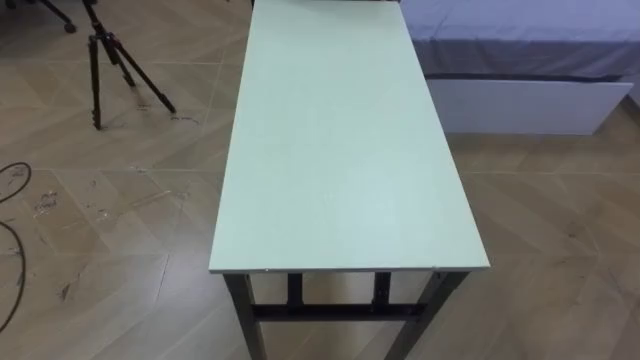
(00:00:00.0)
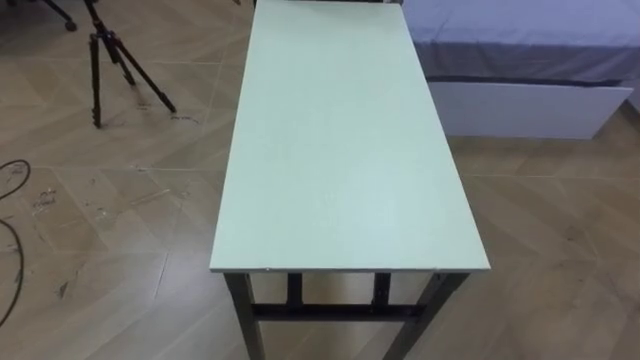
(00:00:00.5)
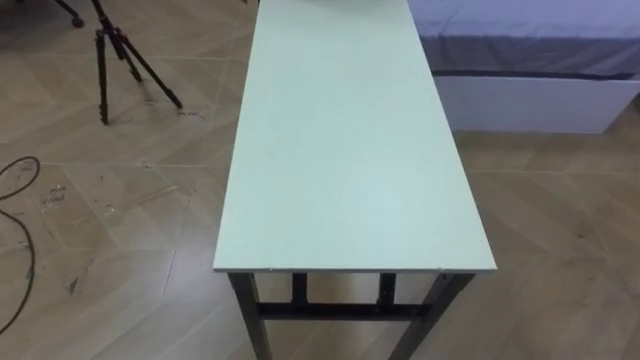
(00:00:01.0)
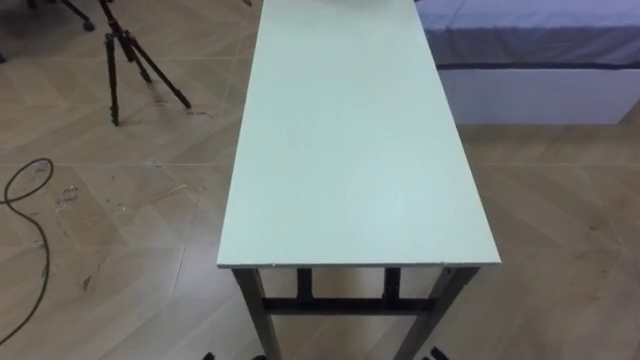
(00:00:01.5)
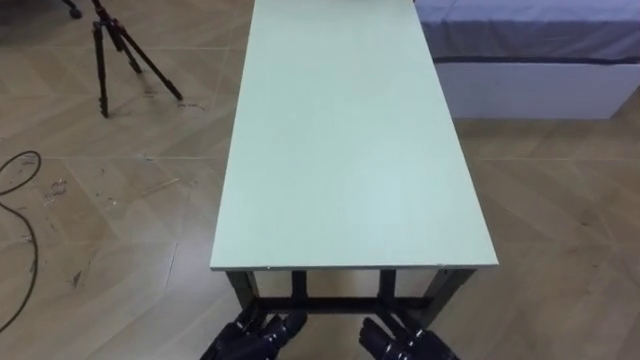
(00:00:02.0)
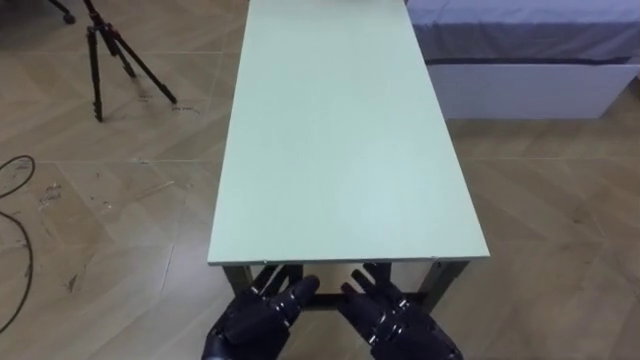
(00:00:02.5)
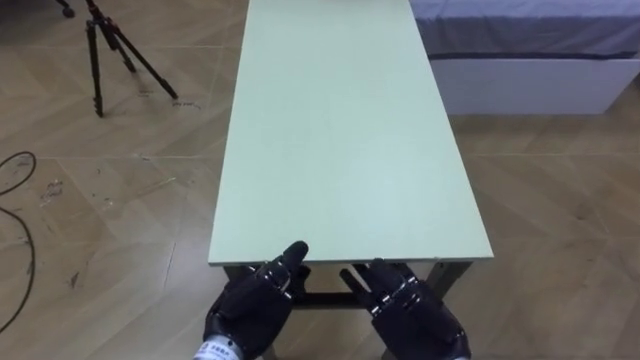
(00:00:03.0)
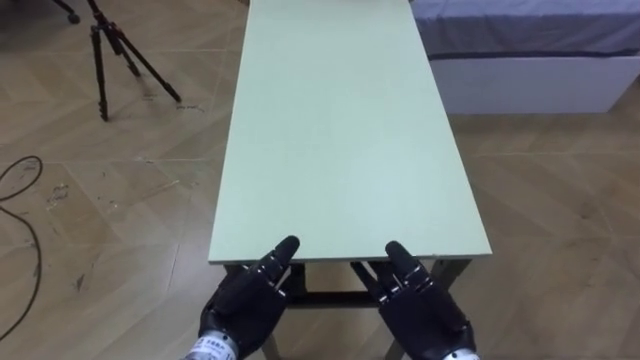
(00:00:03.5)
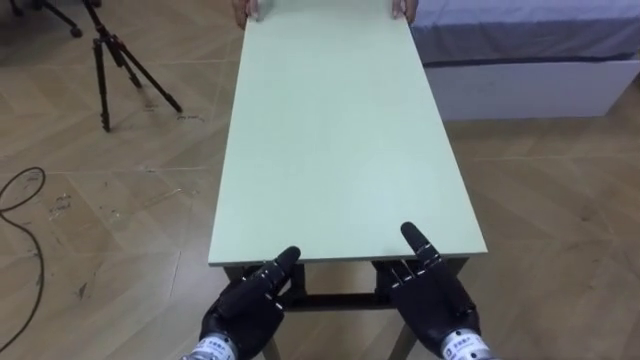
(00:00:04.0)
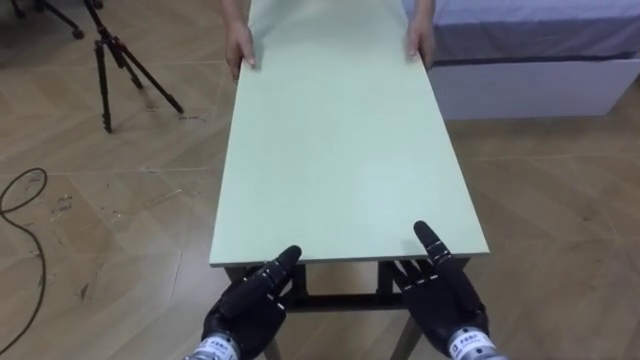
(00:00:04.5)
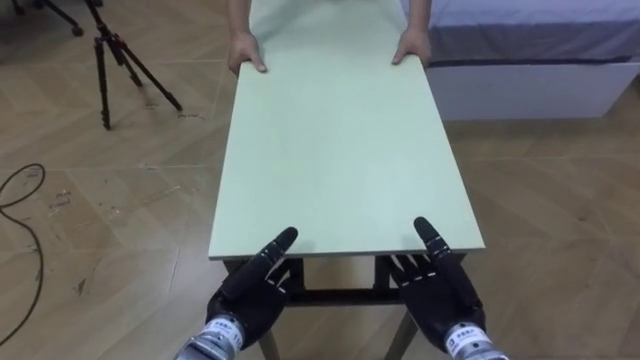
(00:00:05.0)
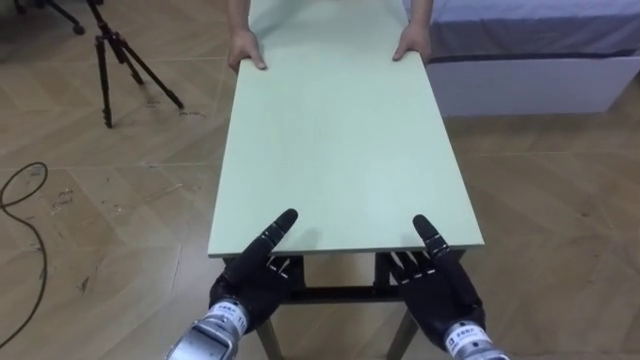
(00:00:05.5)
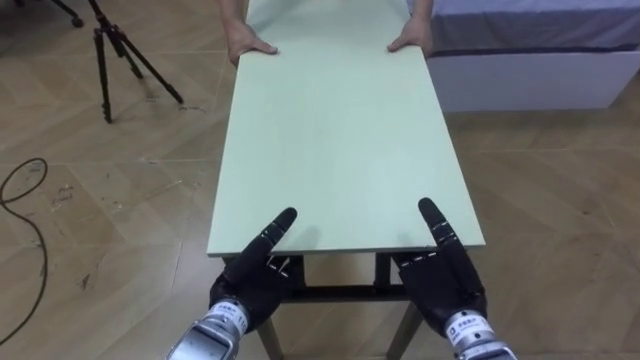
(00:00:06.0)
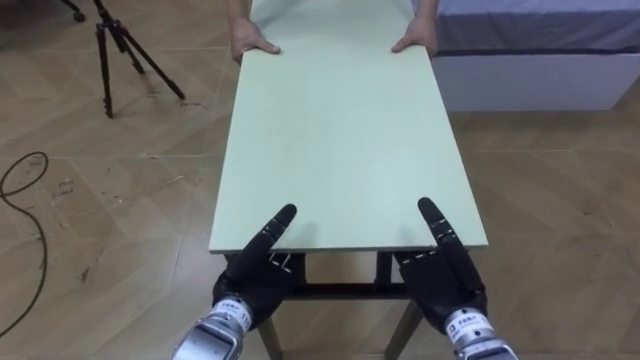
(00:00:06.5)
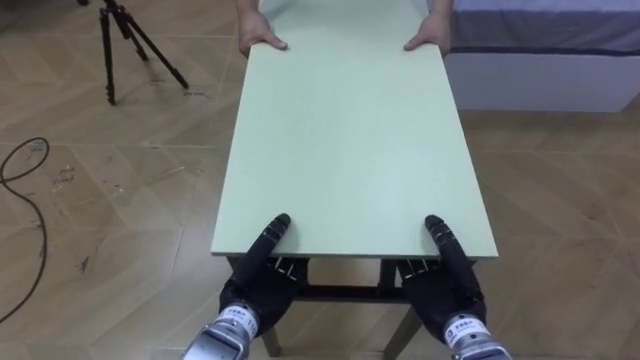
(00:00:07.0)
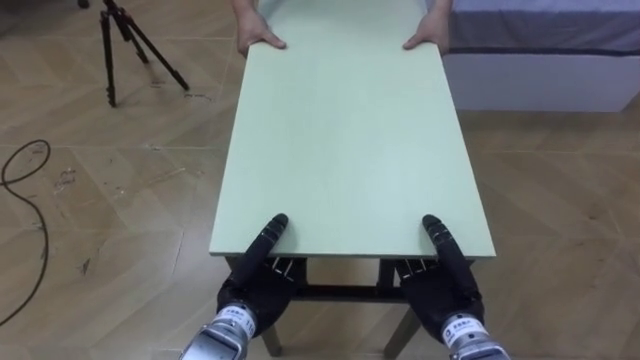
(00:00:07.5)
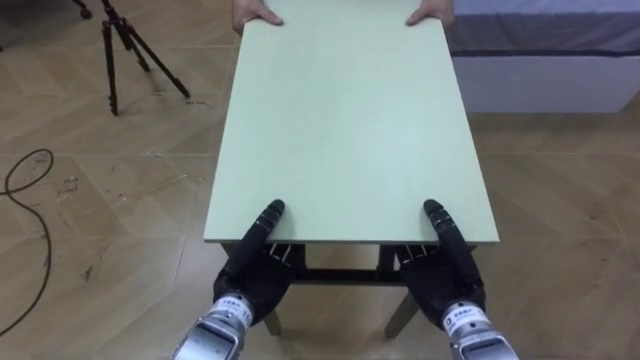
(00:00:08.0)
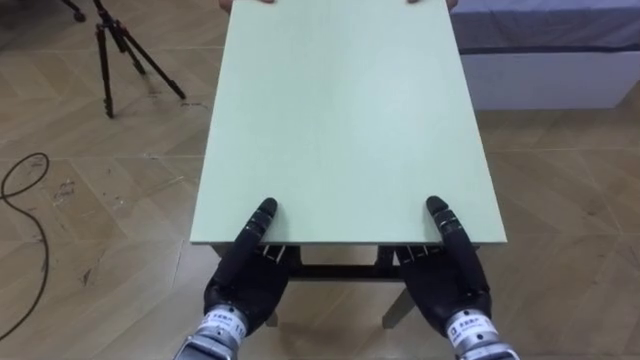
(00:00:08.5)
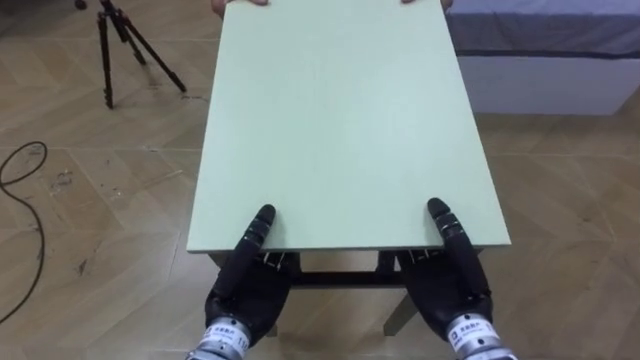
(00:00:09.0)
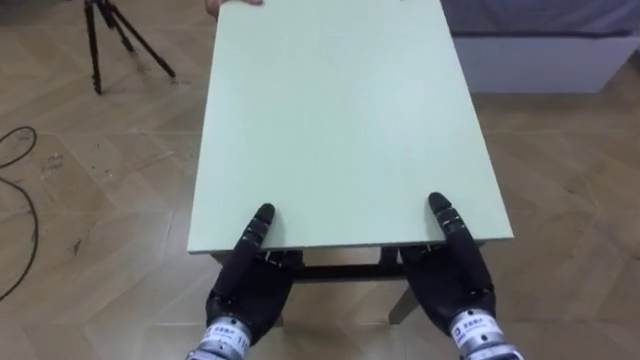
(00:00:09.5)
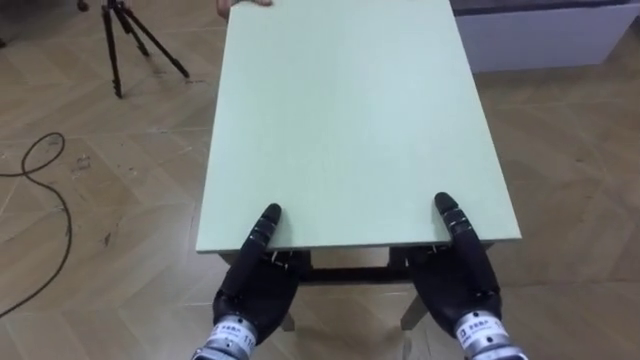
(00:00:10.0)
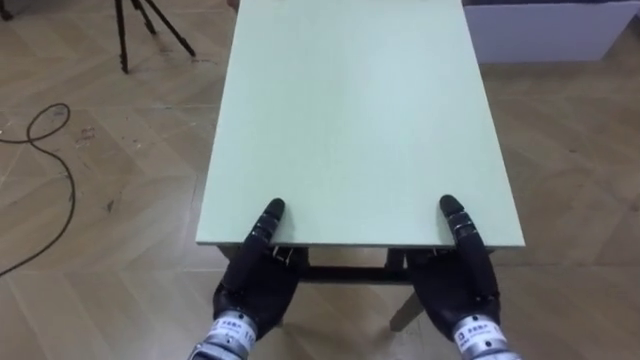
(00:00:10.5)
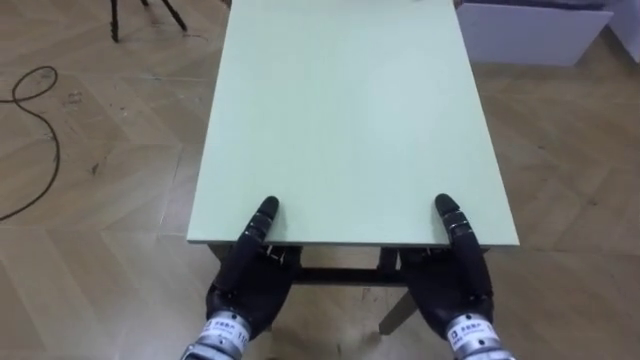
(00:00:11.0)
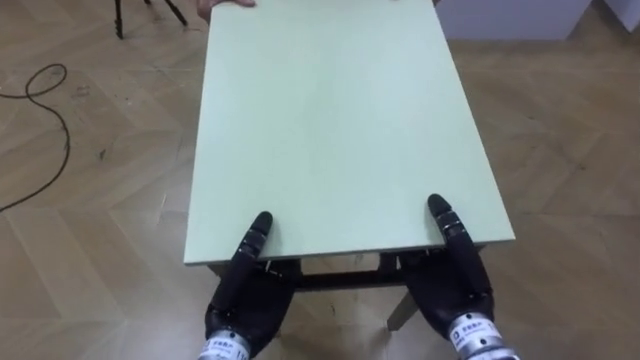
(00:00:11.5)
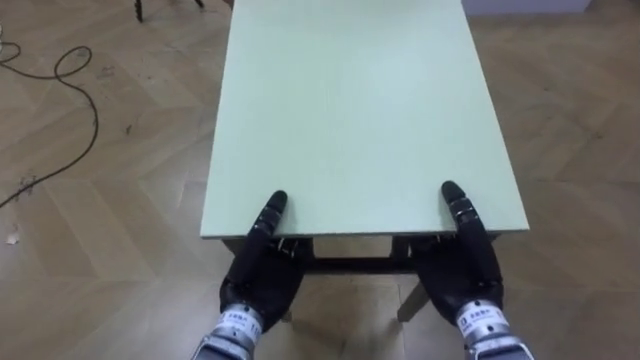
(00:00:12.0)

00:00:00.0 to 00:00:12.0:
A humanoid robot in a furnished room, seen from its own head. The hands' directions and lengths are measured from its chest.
Task of the whole recording: Move the table to the back left with someone.
00:00:02.0 to 00:00:04.0: The left hand moves forward, some 5 cm.
00:00:06.0 to 00:00:08.0: The left hand closes up. The right hand closes its fingers.

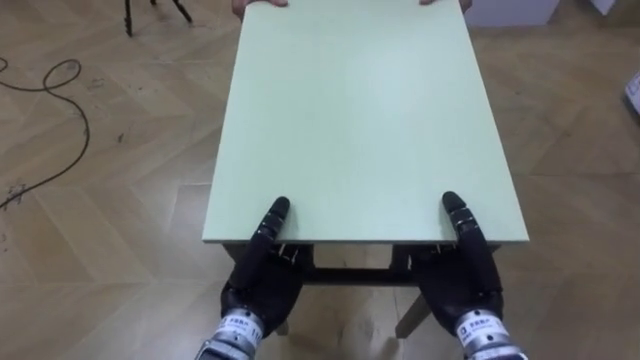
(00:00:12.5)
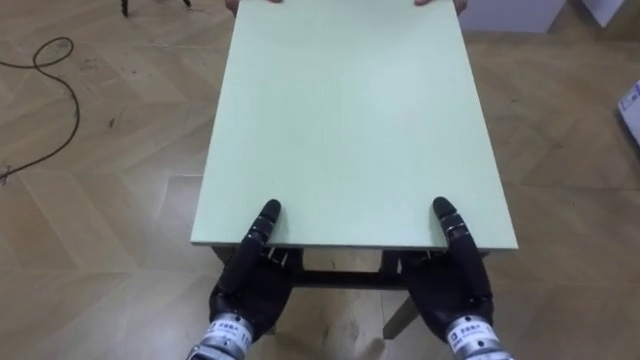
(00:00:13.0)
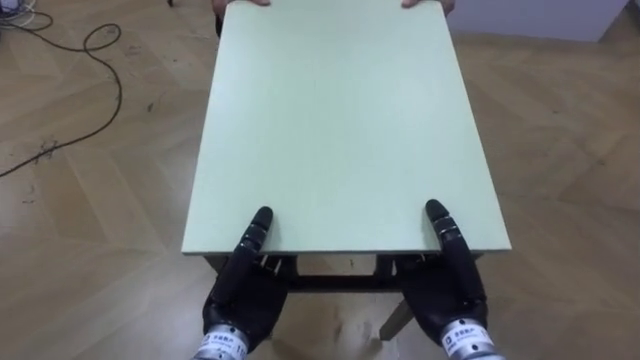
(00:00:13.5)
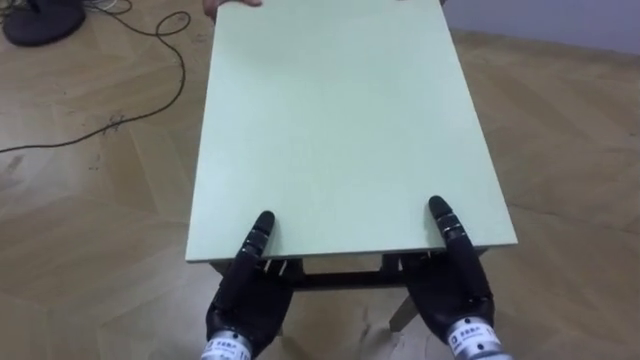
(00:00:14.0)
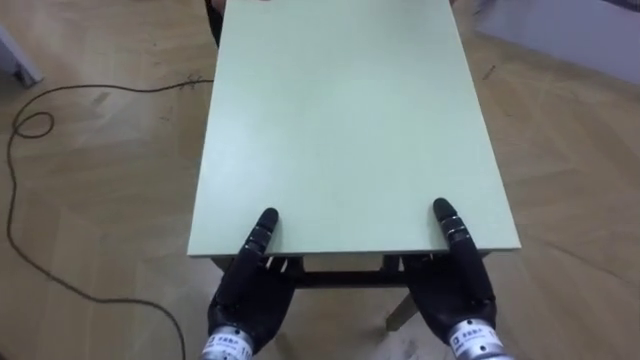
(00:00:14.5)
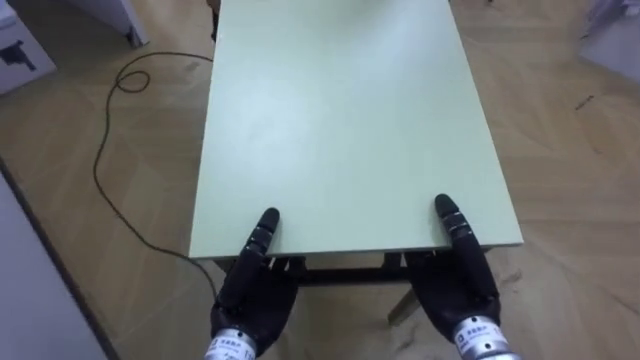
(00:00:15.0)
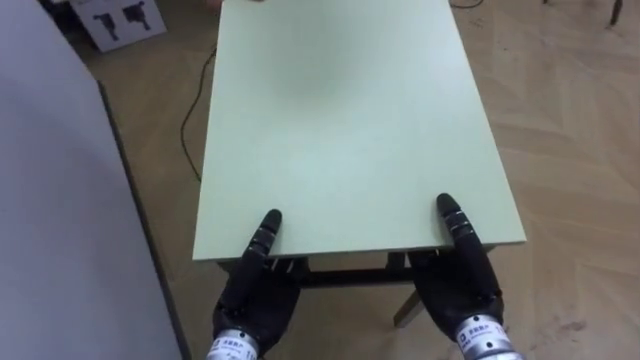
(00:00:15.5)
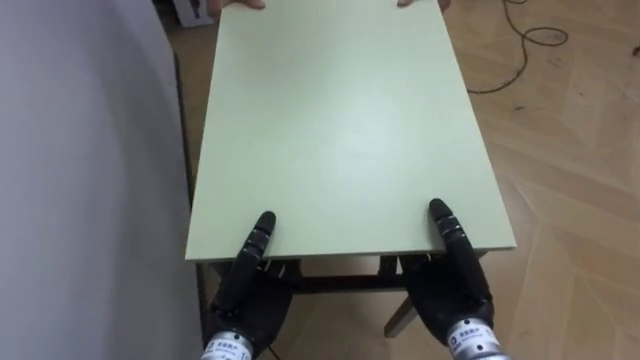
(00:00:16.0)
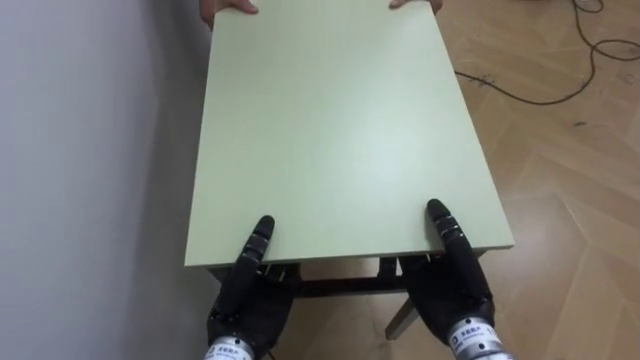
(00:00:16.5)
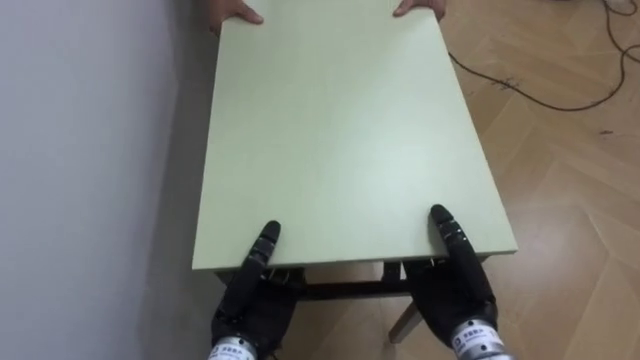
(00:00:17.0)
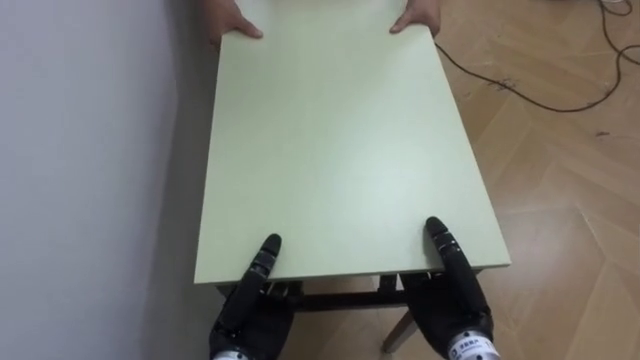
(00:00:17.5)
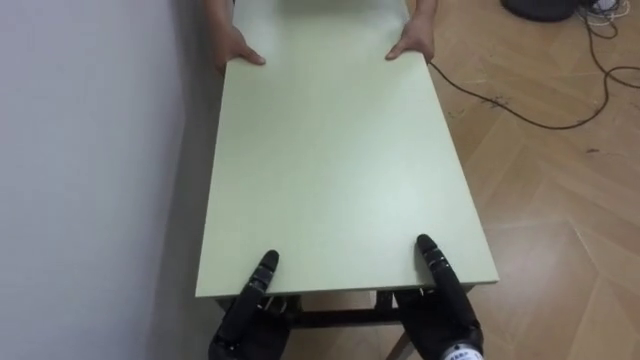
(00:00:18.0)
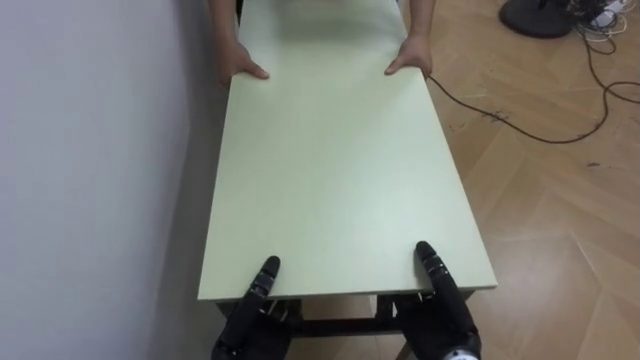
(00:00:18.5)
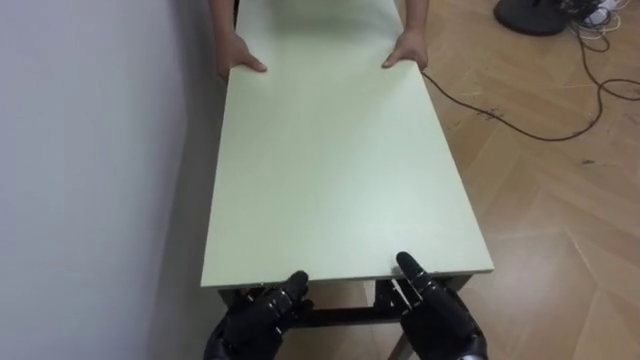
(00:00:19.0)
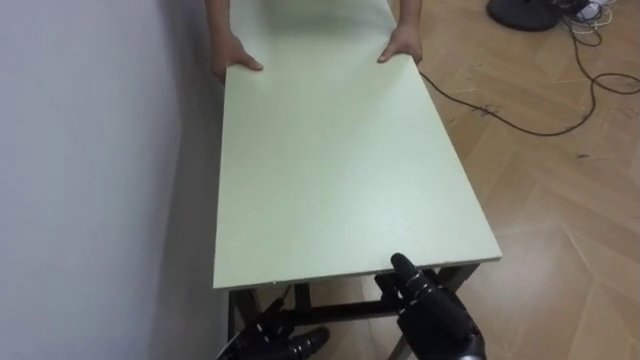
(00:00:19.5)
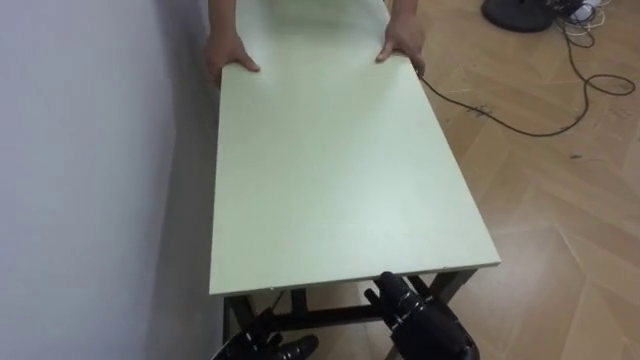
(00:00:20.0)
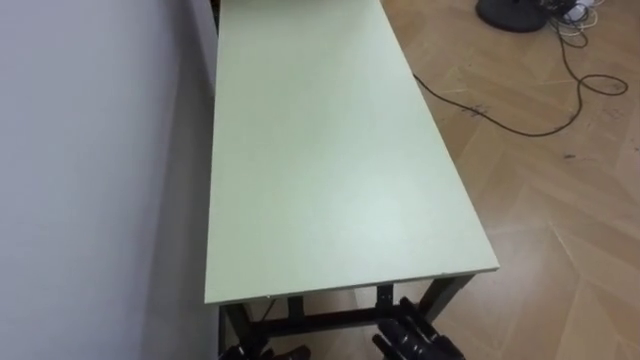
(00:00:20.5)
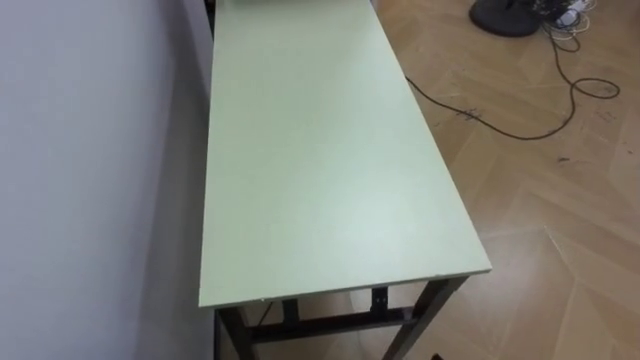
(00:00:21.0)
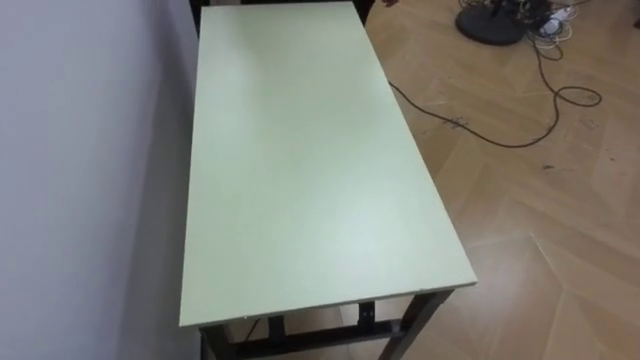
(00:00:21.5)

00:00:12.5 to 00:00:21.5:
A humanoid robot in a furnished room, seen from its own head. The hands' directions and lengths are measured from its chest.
Task of the whole recording: Move the table to the back left with someone.
00:00:12.5 to 00:00:14.5: The robot's body swings about 30 degrees to its left.
00:00:14.5 to 00:00:17.0: The robot's body swings roughly 55 degrees to its left.
00:00:17.0 to 00:00:19.5: The left hand travels downward by roughly 10 cm, and opens its fingers. The right hand goes some 5 cm downward, and opens its fingers.
